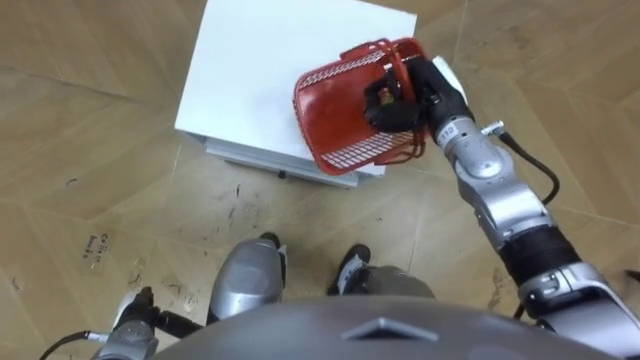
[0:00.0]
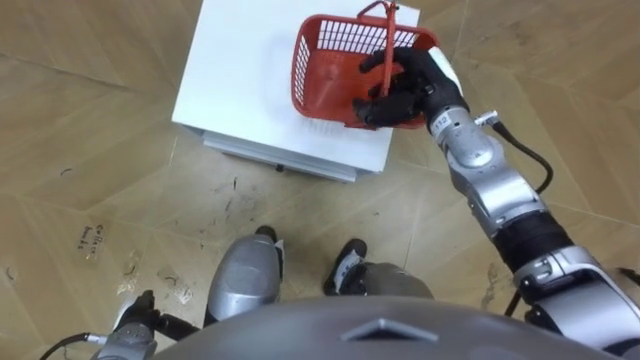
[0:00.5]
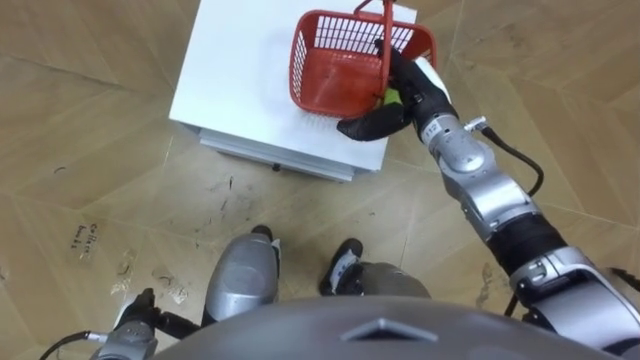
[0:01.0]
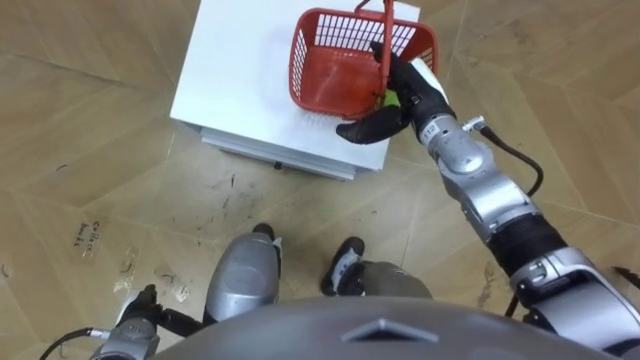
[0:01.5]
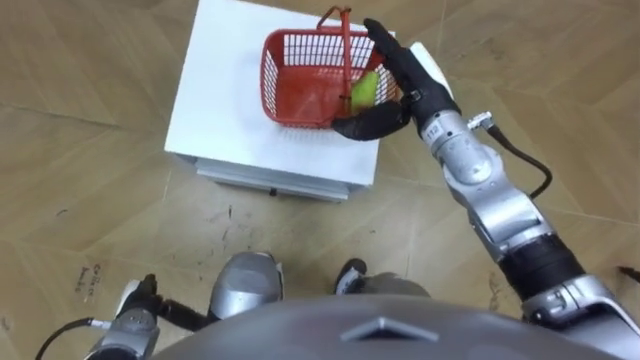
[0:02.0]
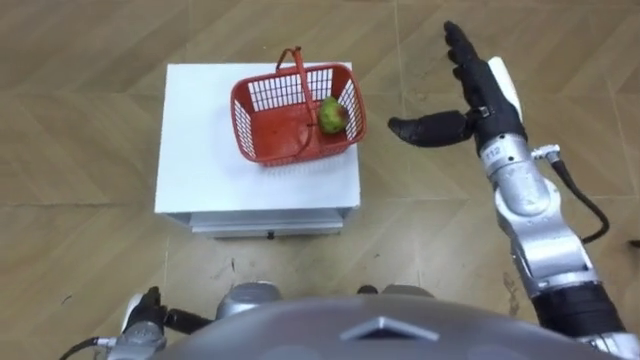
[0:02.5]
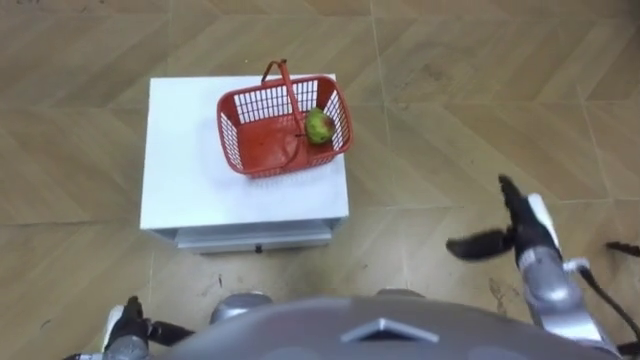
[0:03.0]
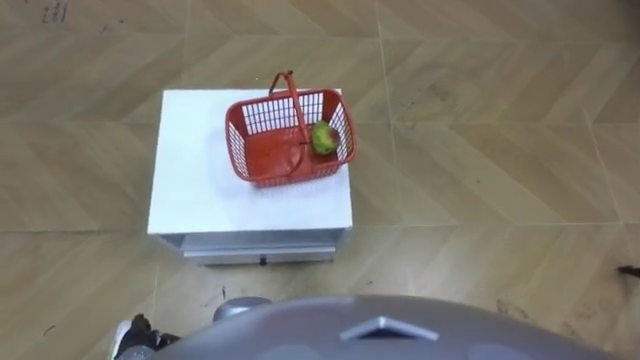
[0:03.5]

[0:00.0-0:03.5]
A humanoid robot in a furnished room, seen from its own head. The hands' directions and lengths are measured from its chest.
Task of the whole recording: Pick up the fruit basket from the floor and place it on the cabinet.
0:00.0 to 0:02.0: The right hand opens up.
0:02.0 to 0:03.5: The left hand travels backward by roughly 5 cm. Meanwhile the right hand moves backward, downward and to the right, about 40 cm.

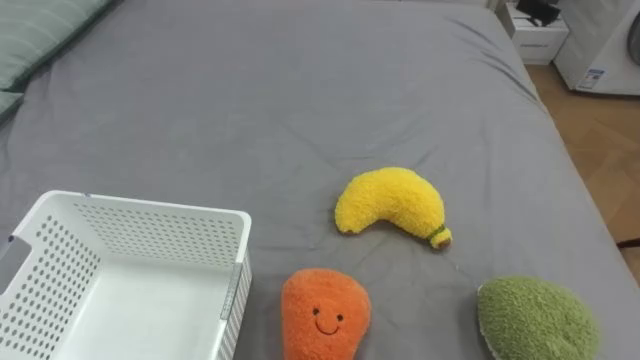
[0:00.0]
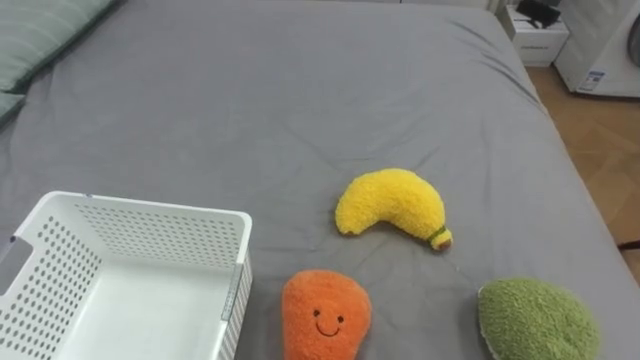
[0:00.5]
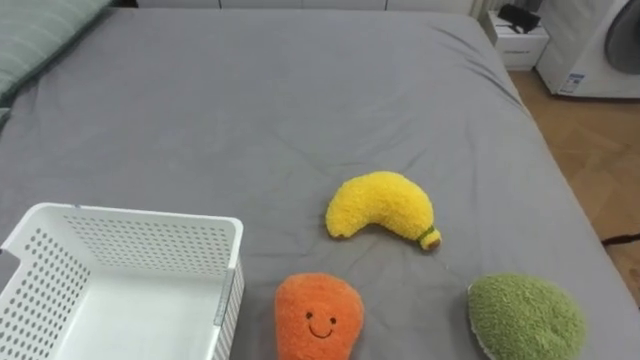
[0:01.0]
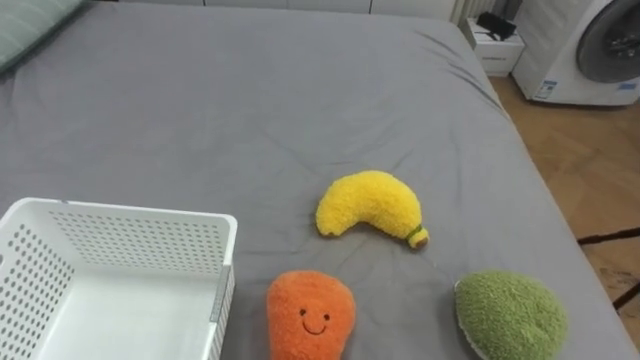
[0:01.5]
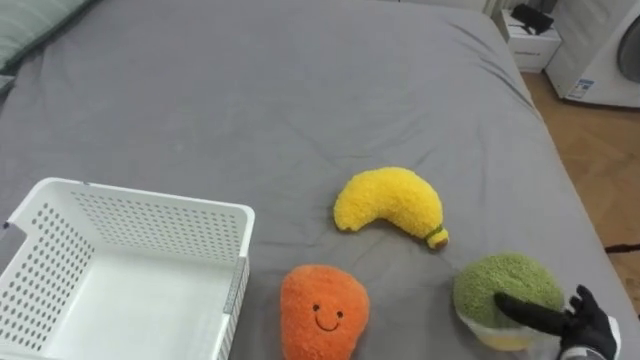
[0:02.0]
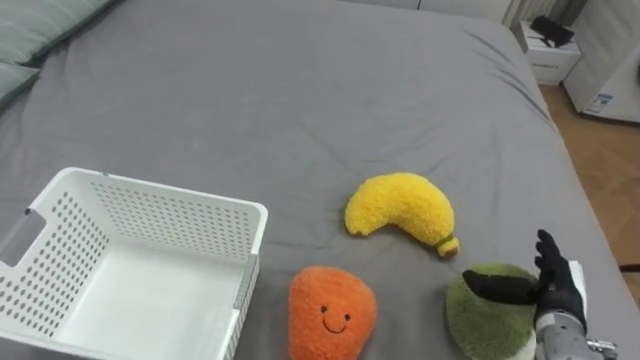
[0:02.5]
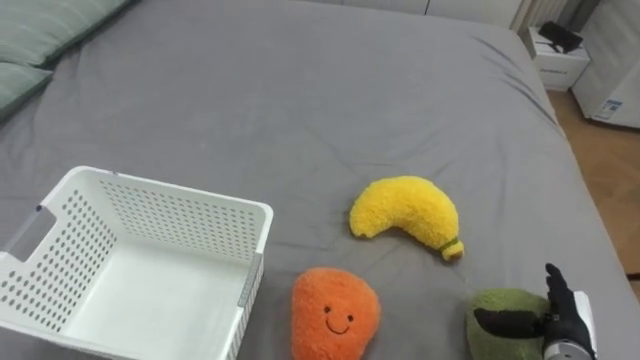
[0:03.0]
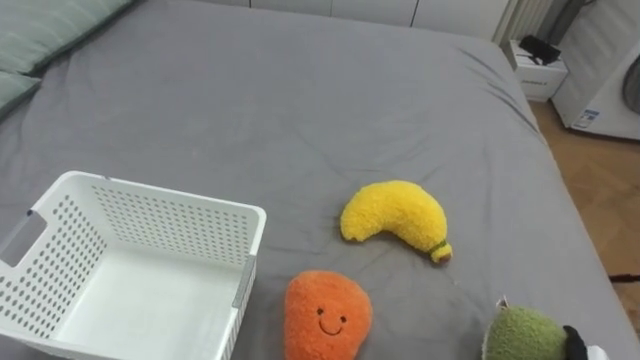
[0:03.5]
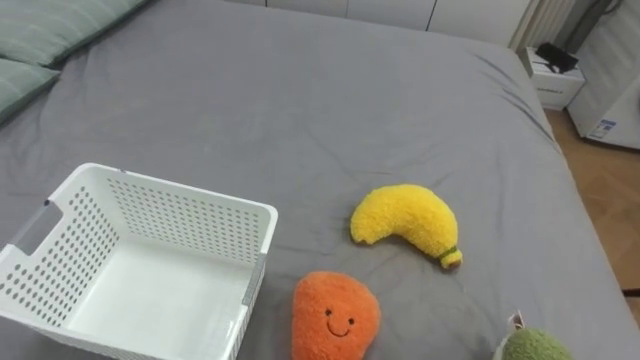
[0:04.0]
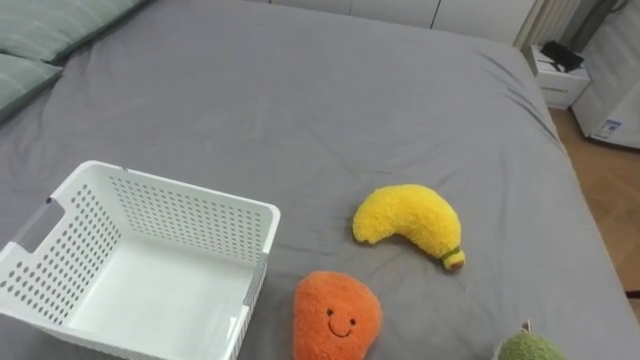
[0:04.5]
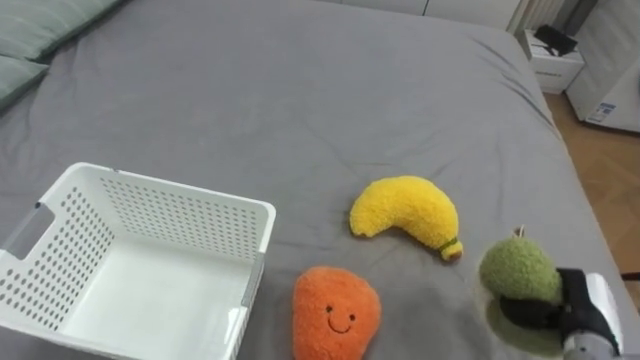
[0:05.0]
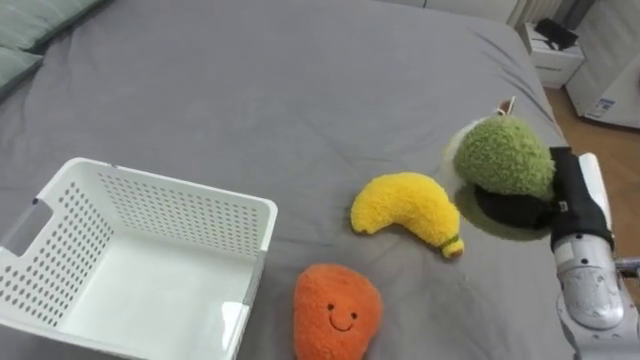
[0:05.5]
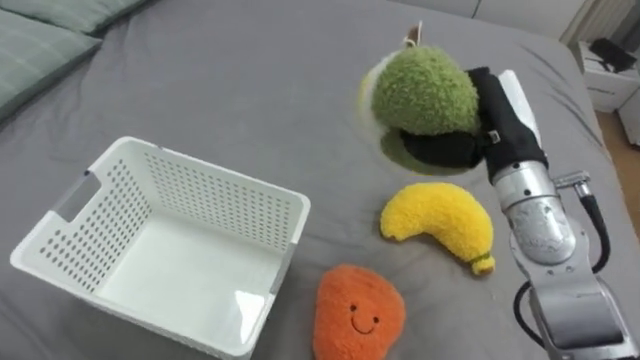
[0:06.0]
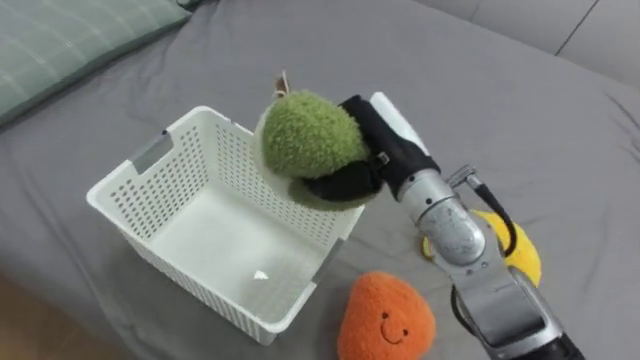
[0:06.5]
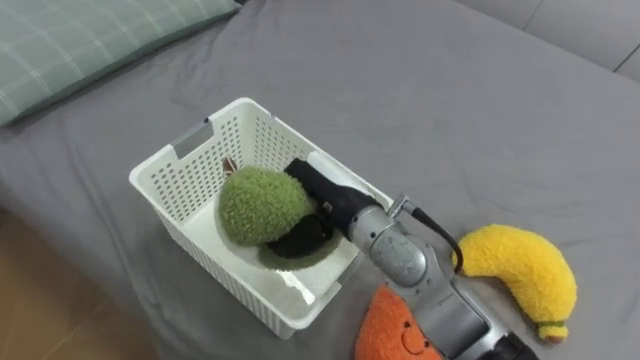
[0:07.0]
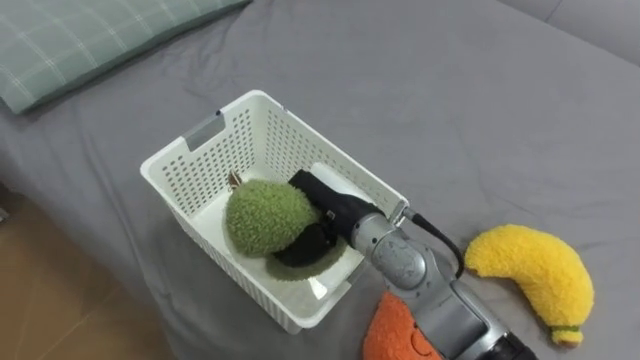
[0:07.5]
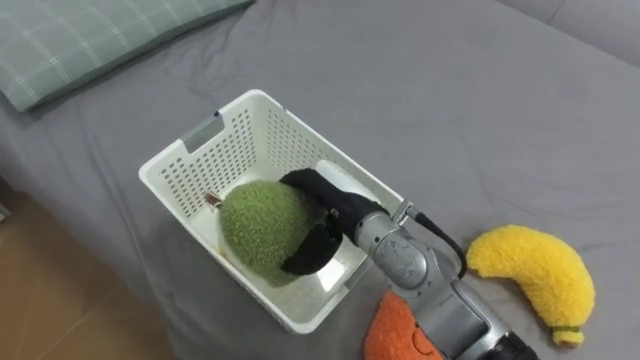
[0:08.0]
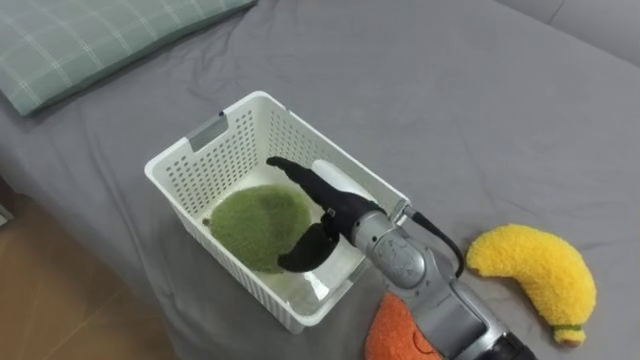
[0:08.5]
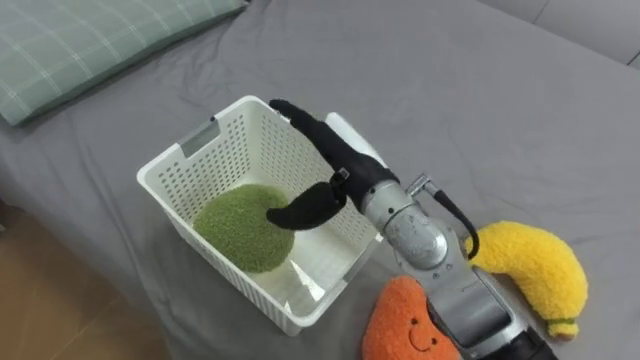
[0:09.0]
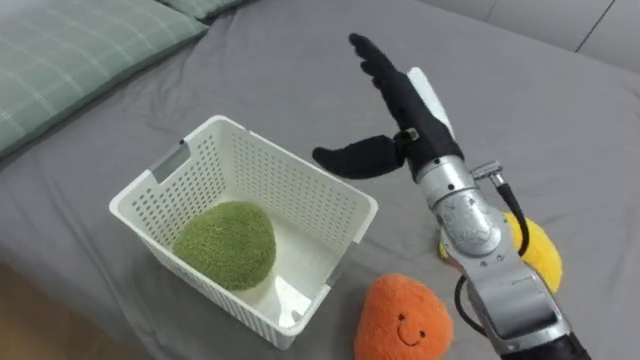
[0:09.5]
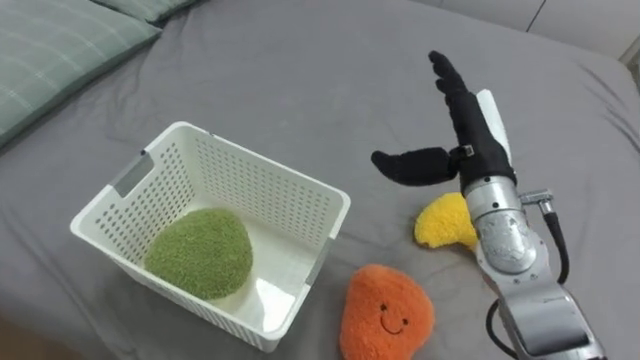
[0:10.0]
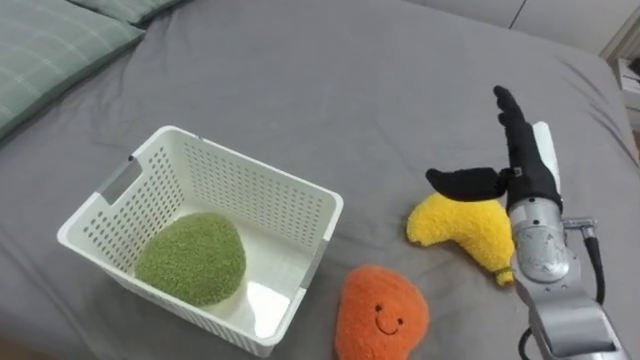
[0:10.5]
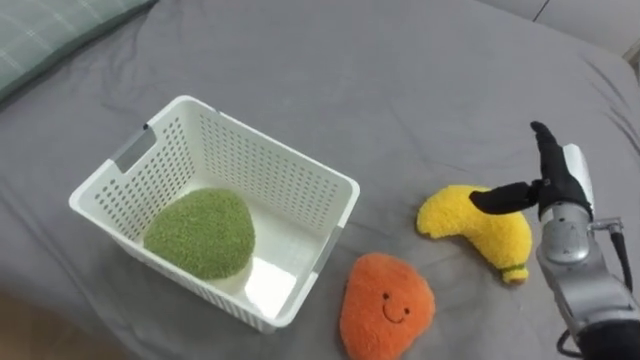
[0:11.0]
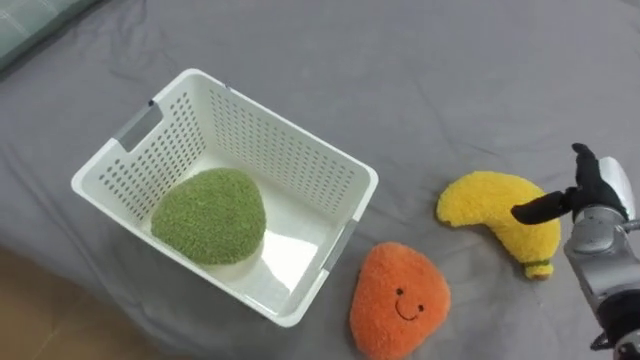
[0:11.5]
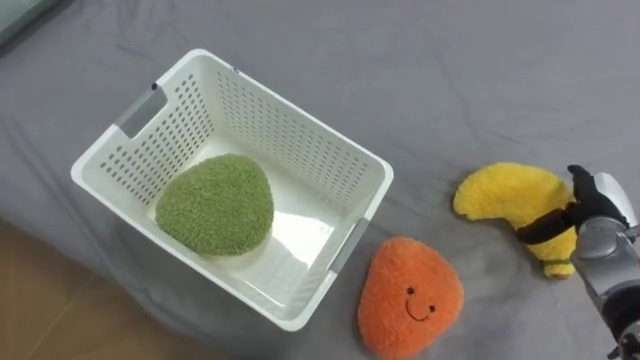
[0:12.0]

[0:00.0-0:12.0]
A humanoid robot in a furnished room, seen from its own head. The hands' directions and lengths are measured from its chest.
Task of the whole recording: Put the toys on the bed into the basket on the left.
0:06.0 to 0:08.0: The right hand moves to the left and downward, about 20 cm, and opens its fingers.
0:08.0 to 0:10.0: The right hand travels to the right and upward by roughly 15 cm.
0:10.0 to 0:12.0: The right hand heads to the right and downward, covering approximately 25 cm.

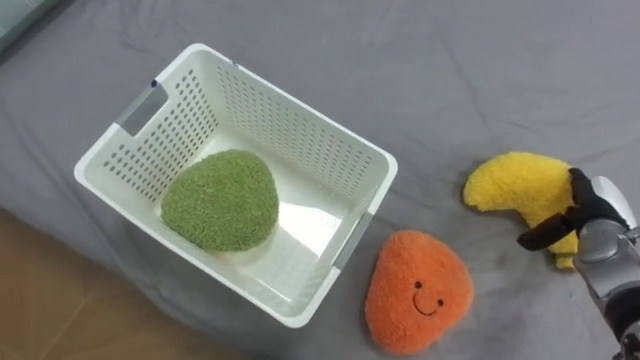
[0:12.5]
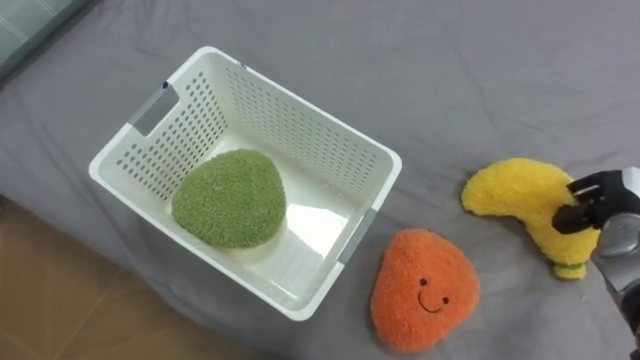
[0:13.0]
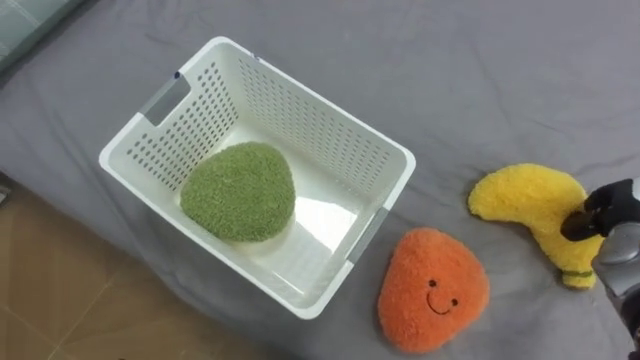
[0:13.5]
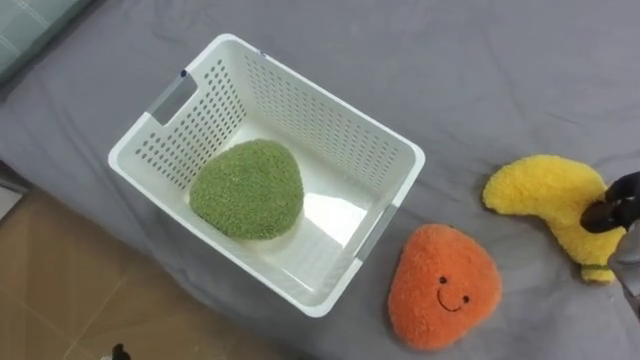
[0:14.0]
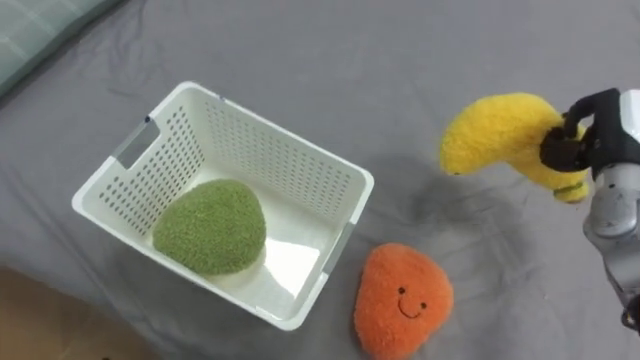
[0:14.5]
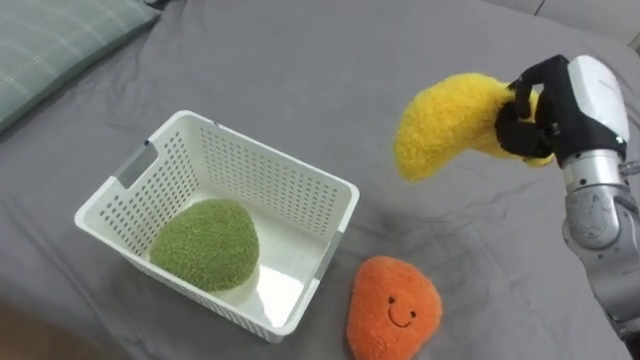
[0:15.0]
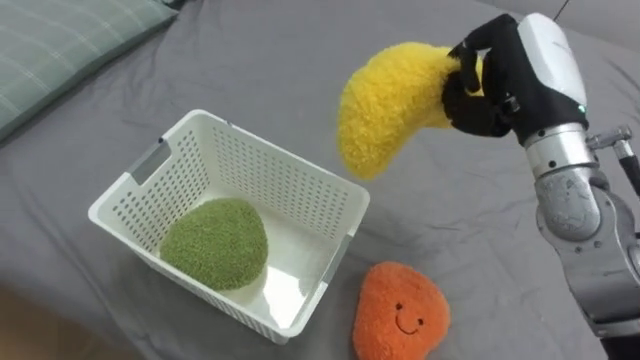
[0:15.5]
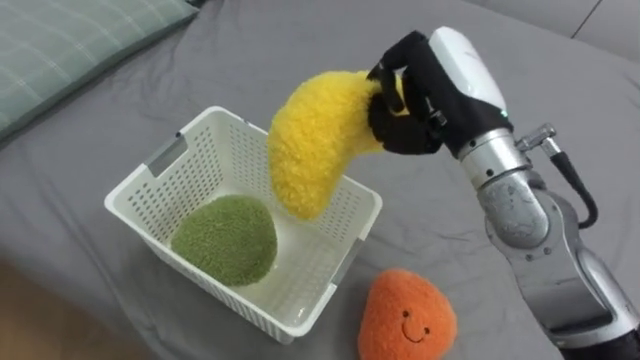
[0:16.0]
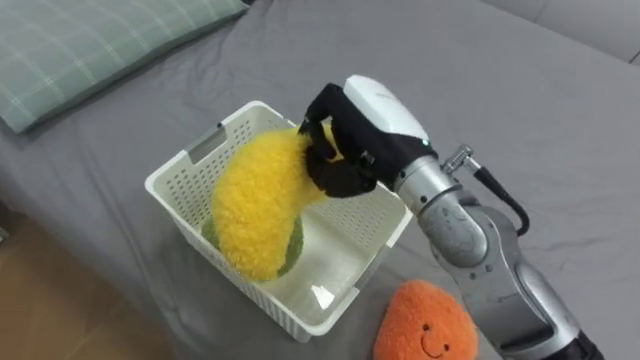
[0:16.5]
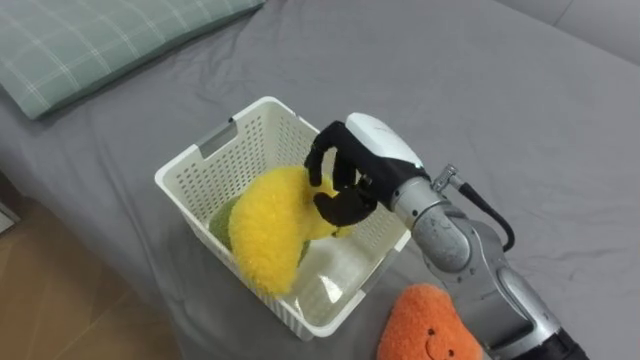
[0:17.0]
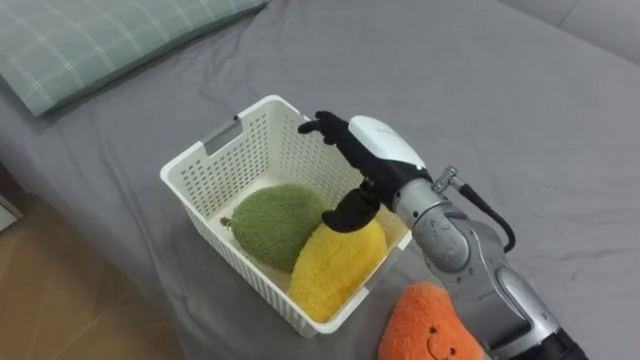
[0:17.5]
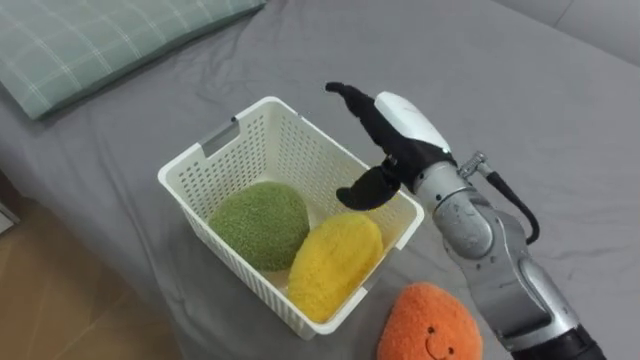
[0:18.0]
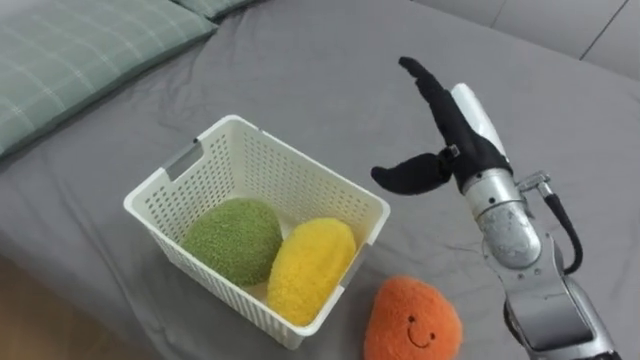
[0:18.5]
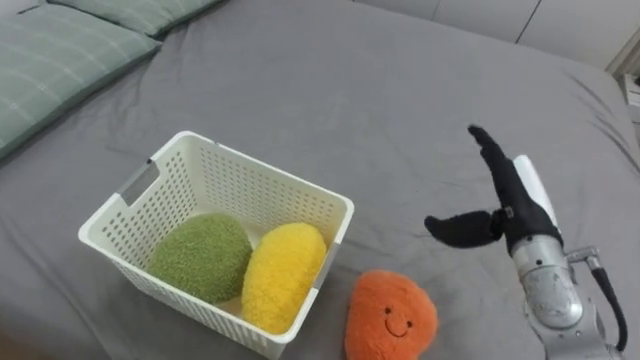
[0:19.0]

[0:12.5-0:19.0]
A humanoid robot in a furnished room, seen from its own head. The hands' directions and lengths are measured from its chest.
Task of the whole recording: Put the toys on the bed into the basket on the left.
0:14.5 to 0:17.0: The right hand goes about 30 cm to the left.
0:17.0 to 0:19.0: The right hand travels to the right by some 15 cm, and opens.
